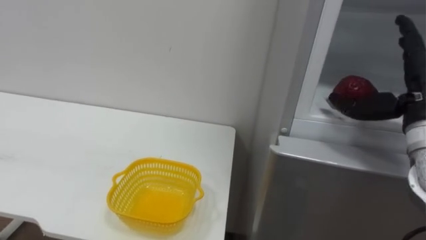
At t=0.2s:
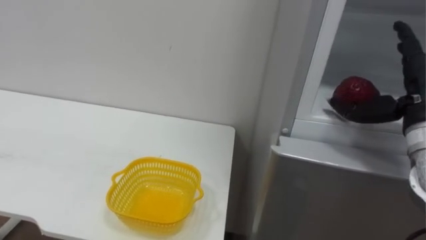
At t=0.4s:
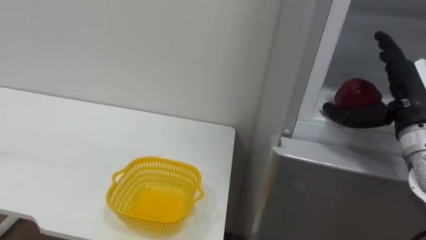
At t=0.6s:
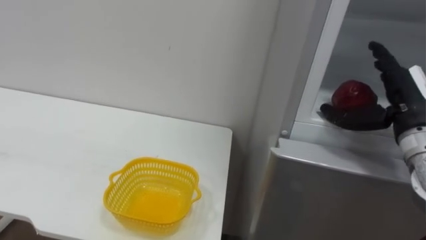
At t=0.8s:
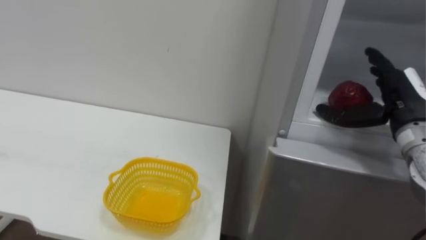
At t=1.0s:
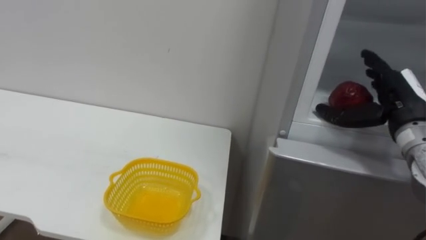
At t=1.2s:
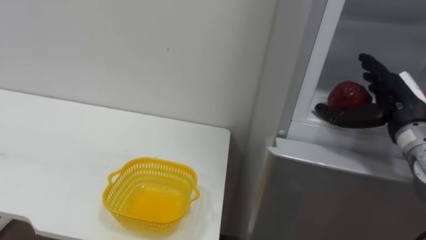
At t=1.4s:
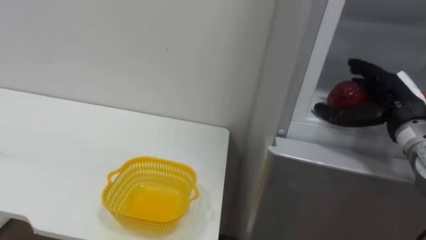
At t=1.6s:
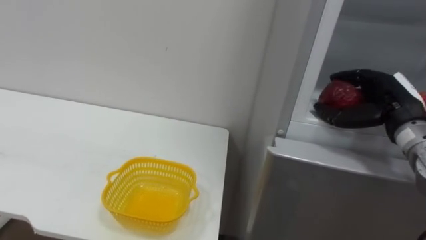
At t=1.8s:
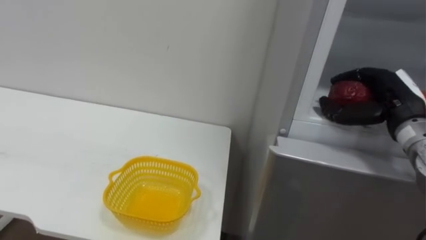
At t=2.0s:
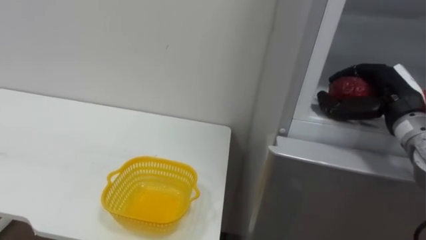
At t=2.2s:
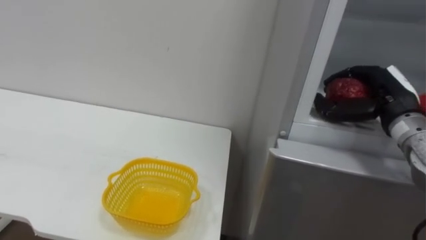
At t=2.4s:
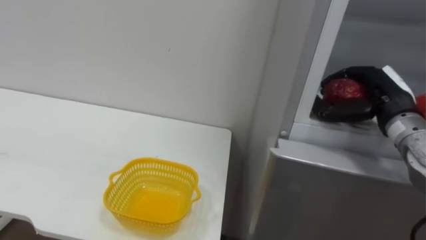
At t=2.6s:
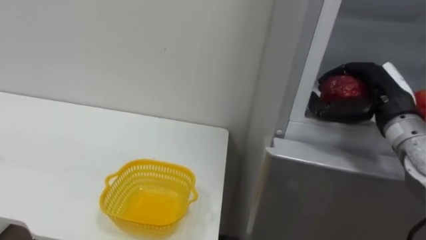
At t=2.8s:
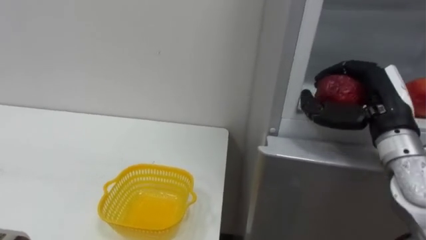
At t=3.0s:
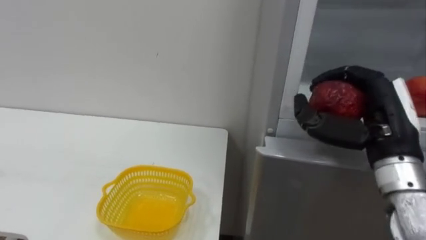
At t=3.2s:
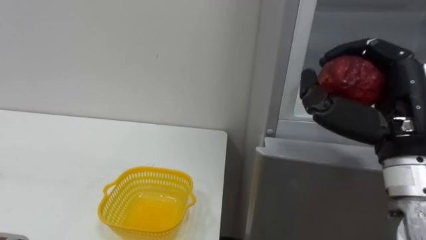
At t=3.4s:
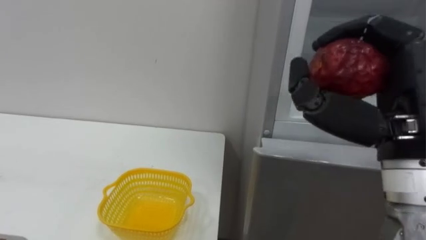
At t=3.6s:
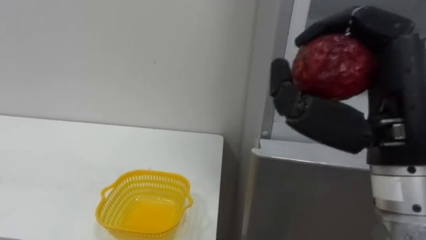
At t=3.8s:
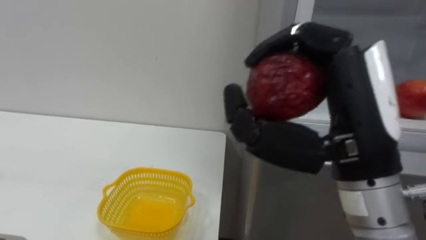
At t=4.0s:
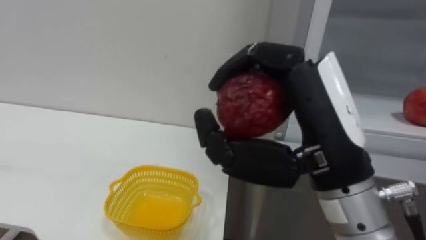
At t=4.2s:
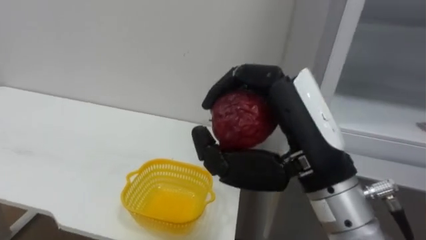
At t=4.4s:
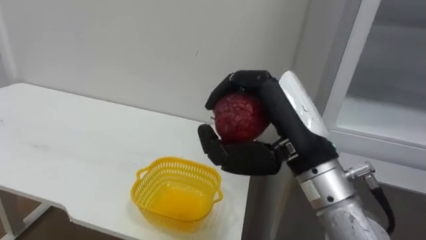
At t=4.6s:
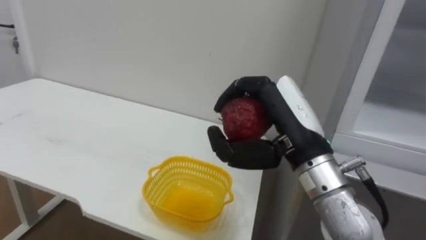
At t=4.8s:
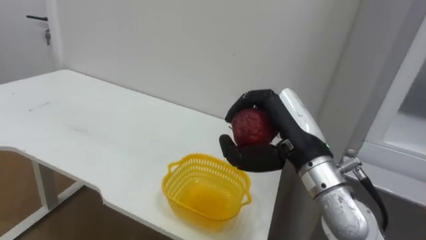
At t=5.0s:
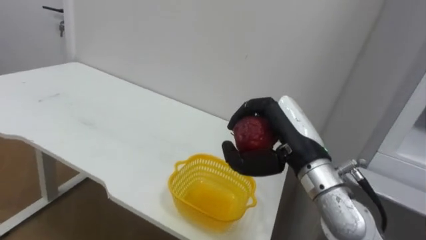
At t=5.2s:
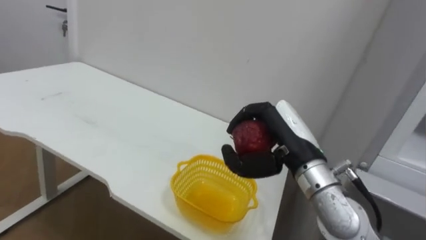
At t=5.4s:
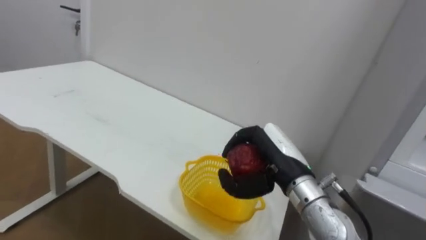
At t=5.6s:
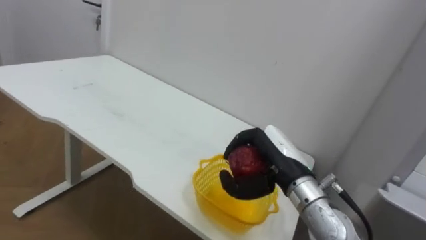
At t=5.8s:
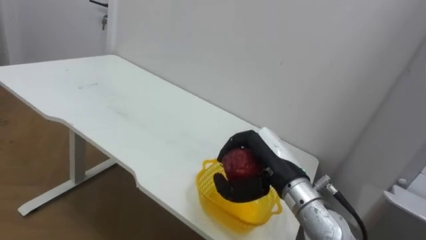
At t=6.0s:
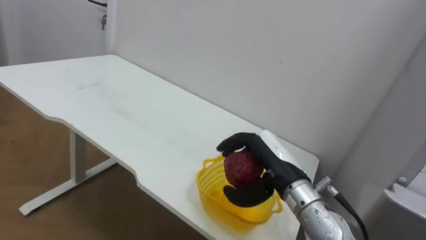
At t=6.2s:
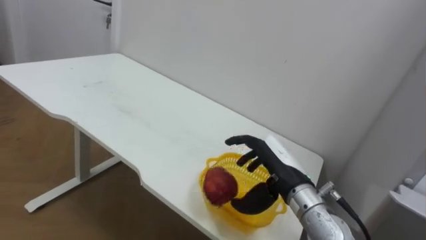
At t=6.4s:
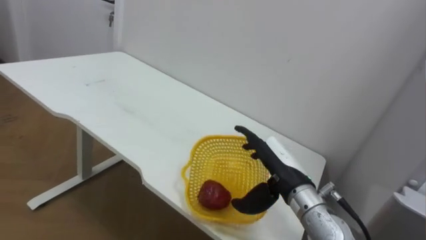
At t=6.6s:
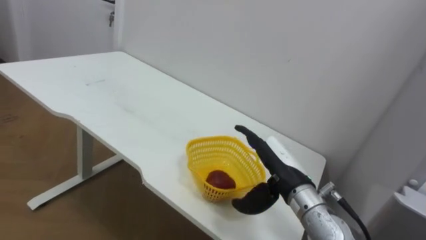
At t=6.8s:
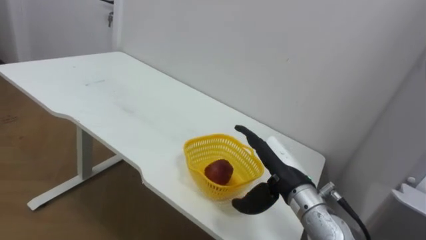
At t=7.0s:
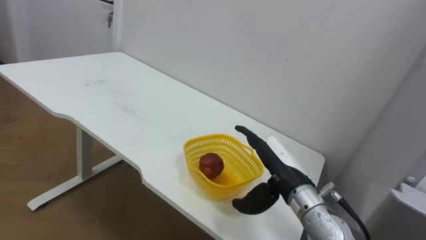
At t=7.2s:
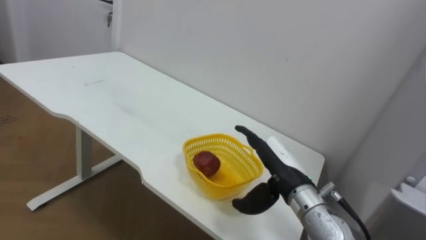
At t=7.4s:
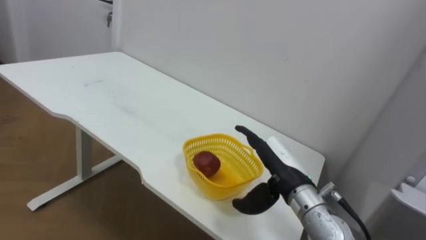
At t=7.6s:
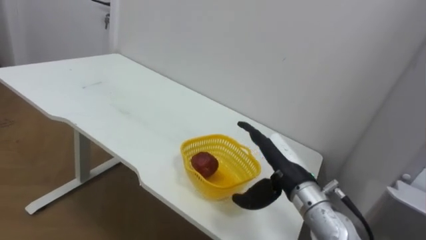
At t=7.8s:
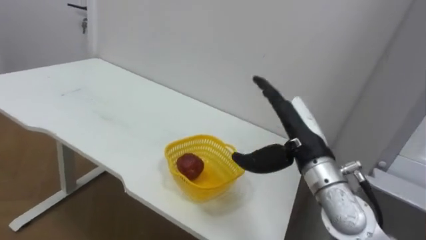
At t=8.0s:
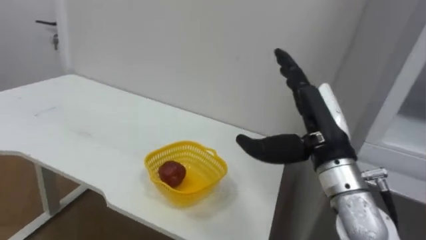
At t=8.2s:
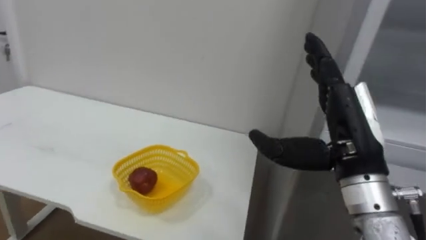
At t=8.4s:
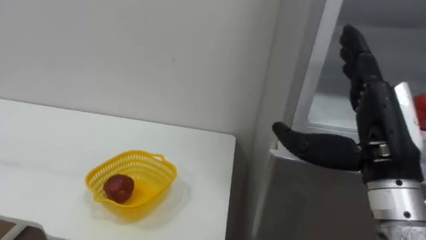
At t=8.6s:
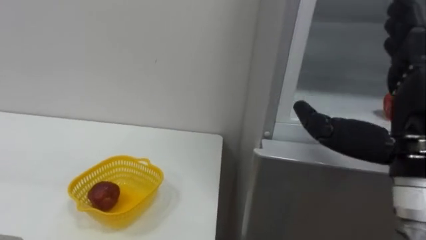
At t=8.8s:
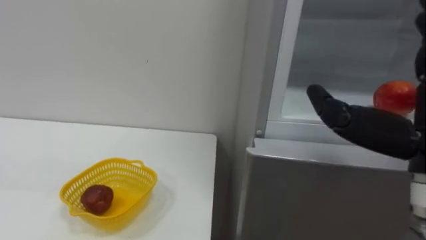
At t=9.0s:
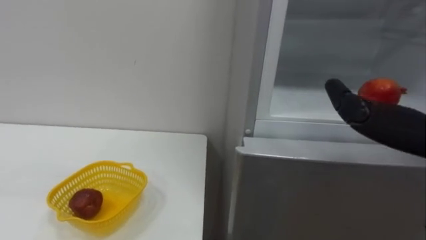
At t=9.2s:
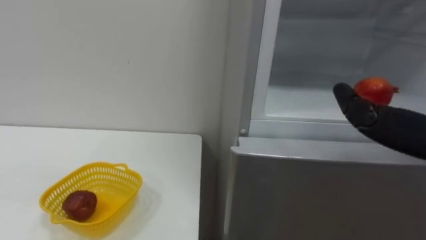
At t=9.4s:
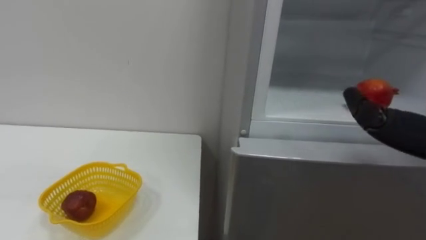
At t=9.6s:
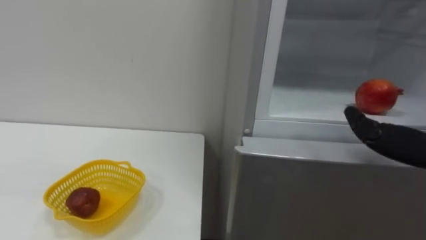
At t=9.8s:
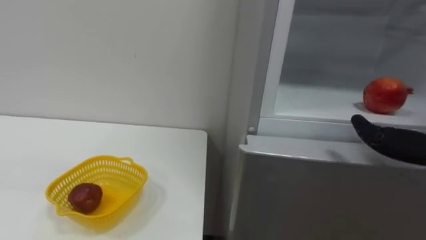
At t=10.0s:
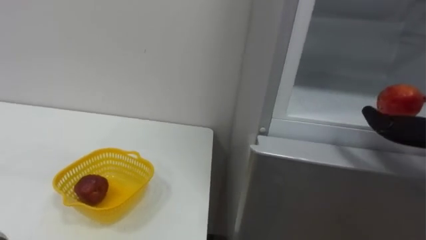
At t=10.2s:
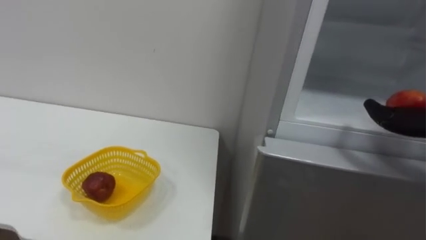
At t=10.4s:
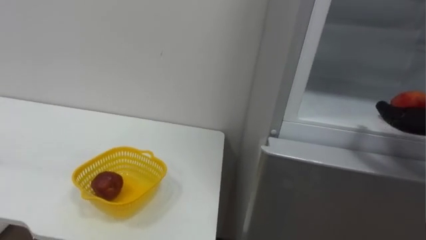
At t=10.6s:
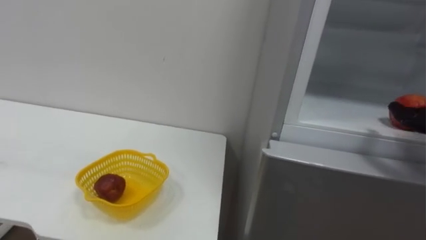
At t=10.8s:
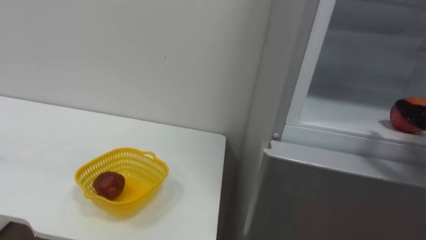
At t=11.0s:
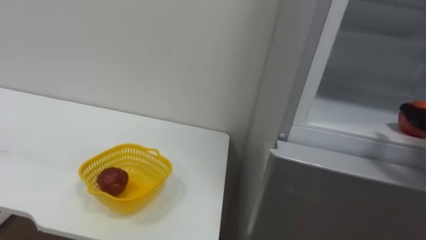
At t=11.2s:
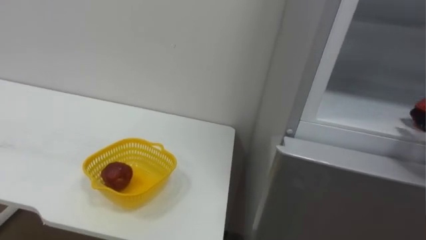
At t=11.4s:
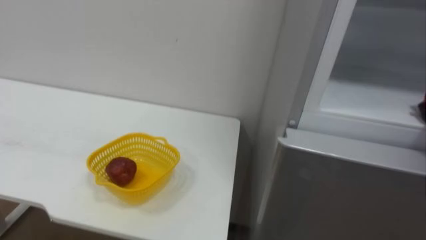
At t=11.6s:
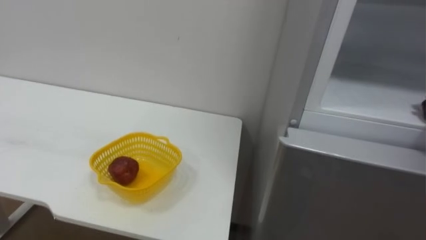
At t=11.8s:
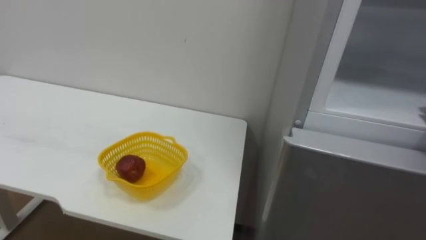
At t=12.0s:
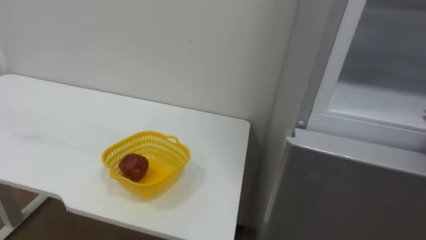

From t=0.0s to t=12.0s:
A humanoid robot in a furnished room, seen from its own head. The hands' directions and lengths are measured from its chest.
Task of the whole recording: Open the refrigerator door, take out the apple and the pomegranate, place them in the fruit basket on the left, and close the refrigerator door.
From t=0.0s to t=1.6s: The right hand ends up some 5 cm from where it was, and closes its fingers.
From t=1.6s to t=3.0s: The right hand moves backward and to the left, about 10 cm.
From t=3.0s to t=4.4s: The right hand is displaced to the left by some 15 cm.
From t=4.4s to t=6.0s: The right hand shifts some 15 cm downward and forward.
From t=6.0s to t=7.6s: The right hand opens.

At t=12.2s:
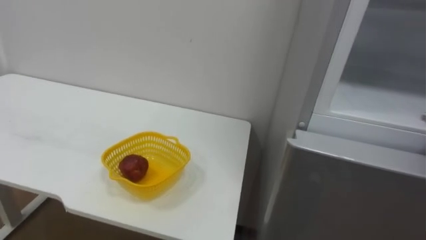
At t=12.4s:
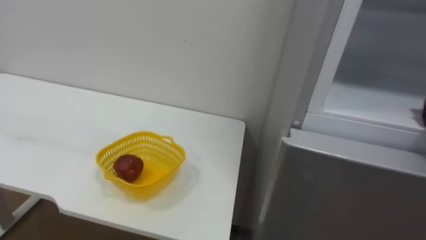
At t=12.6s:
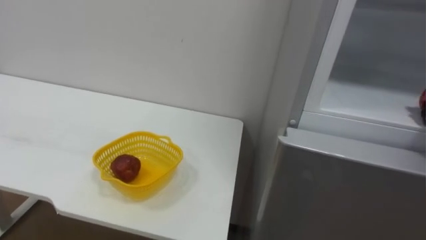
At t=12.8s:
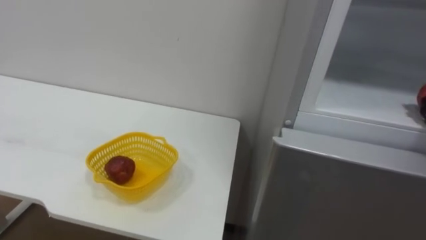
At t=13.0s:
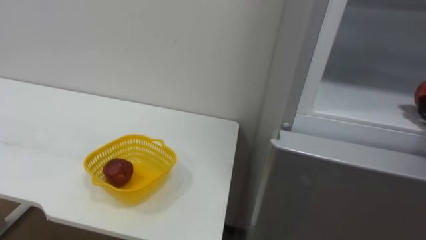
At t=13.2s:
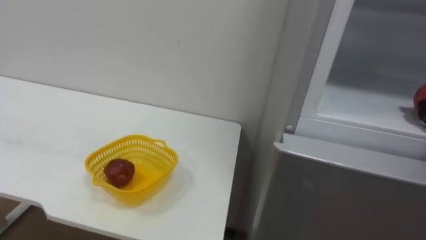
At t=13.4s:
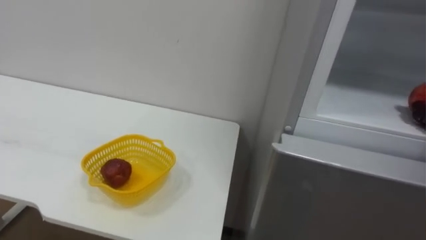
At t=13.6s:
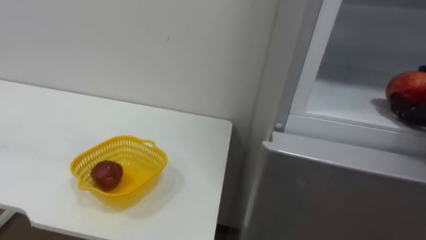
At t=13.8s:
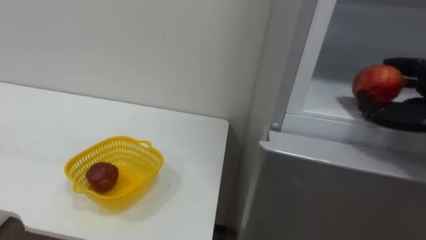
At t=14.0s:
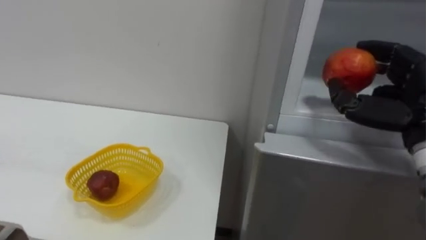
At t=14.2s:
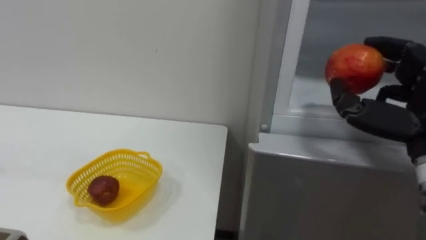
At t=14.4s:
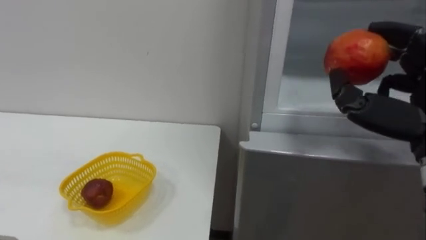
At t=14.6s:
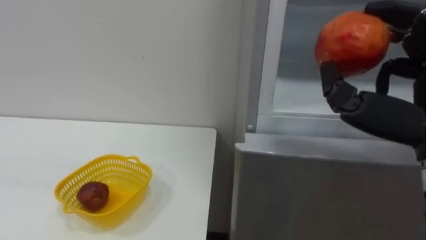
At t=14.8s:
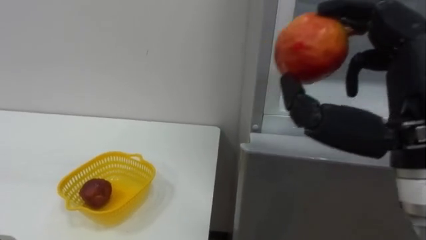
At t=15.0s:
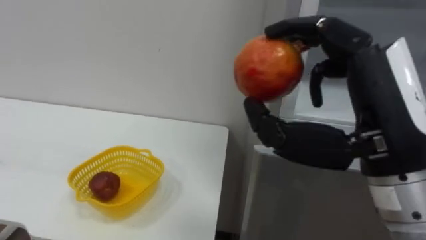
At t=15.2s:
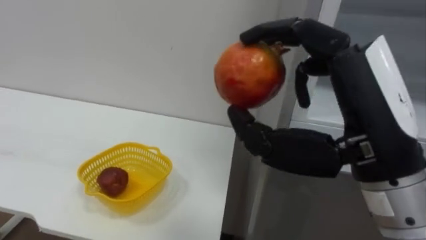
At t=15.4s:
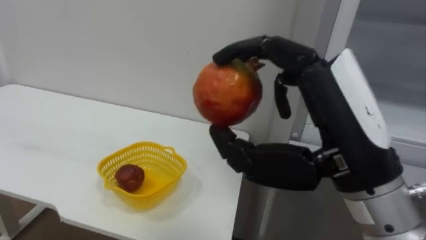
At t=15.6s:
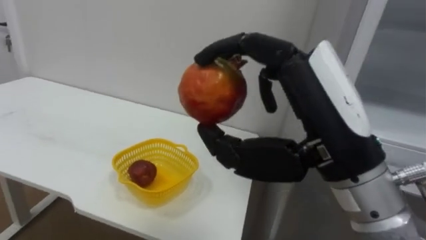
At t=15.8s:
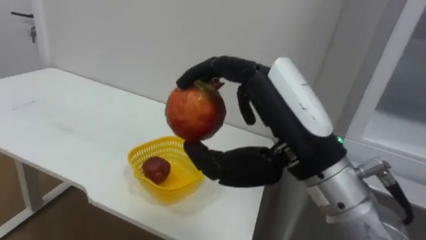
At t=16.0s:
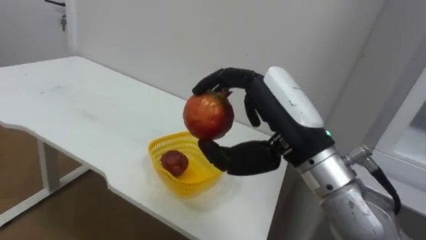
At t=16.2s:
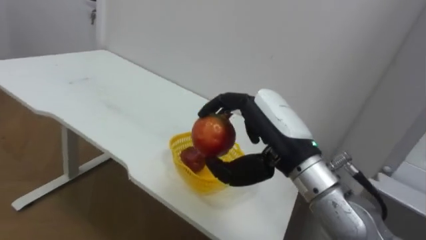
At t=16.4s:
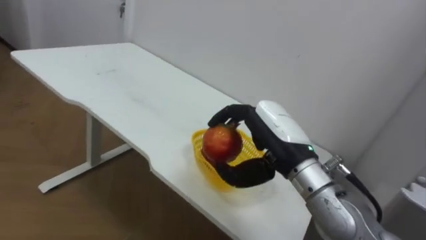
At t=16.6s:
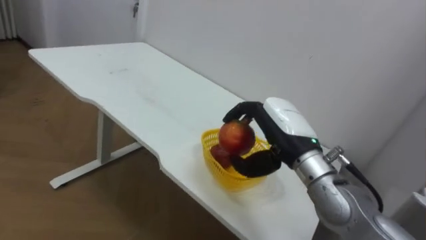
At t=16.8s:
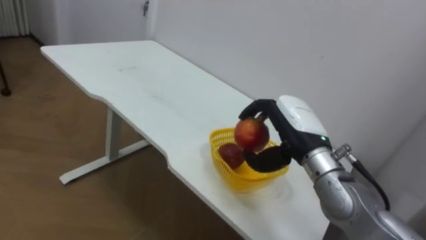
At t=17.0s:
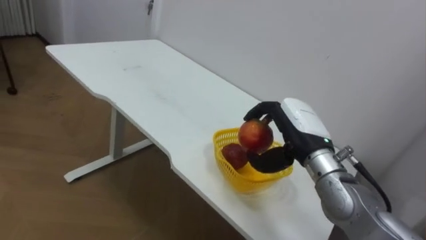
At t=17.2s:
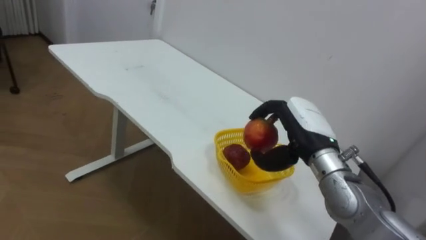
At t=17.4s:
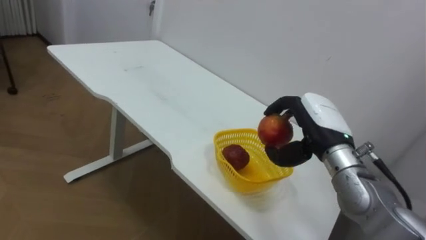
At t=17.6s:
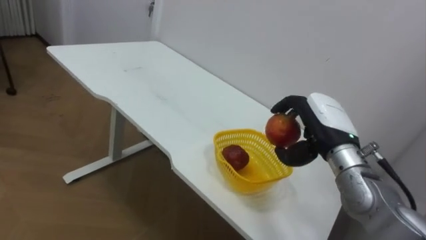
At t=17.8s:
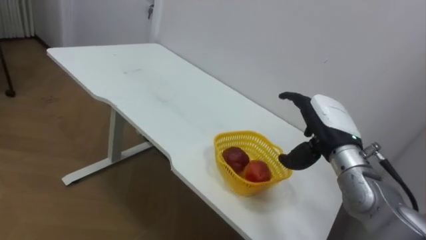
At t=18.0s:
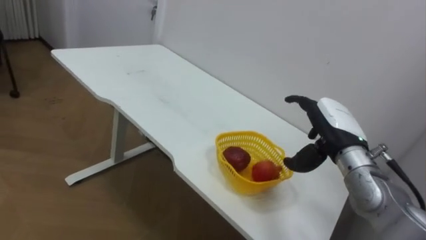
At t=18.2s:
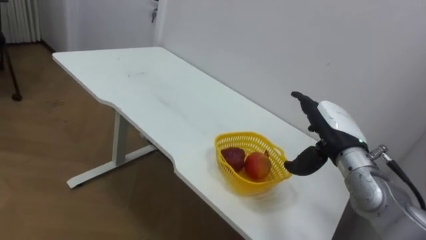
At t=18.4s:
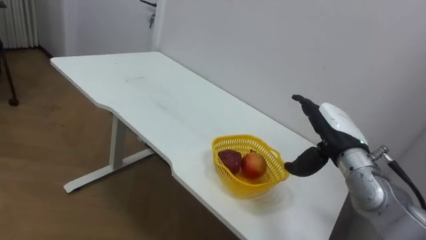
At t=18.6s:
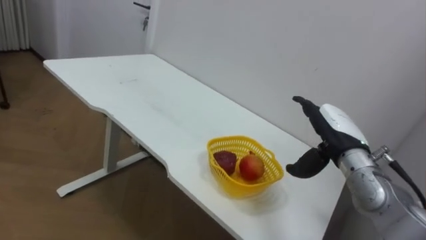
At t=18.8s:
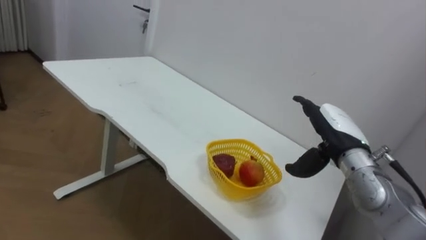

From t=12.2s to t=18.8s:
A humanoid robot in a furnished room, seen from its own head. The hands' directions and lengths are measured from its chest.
Task of the whole recording: Open the refrigerator door, take out the apple and the pomegranate, place them in the fruit basket on the left, and close the refrigerator door.
From t=15.4s to t=17.2s: The right hand travels forward and downward by approximately 20 cm.
From t=17.2s to t=18.8s: The right hand heads to the right, covering some 5 cm, and opens.
